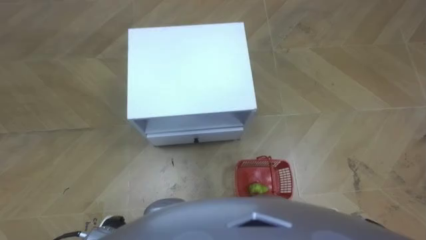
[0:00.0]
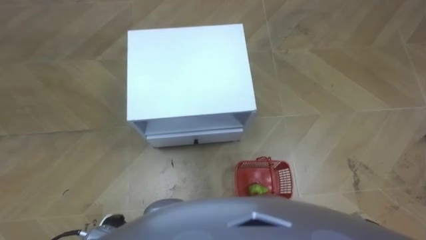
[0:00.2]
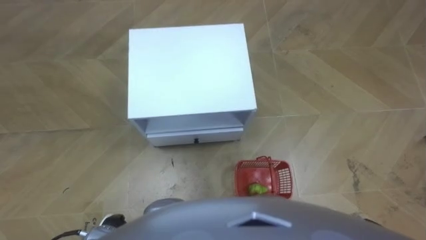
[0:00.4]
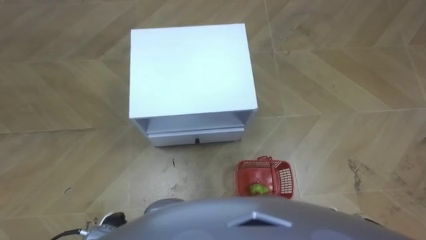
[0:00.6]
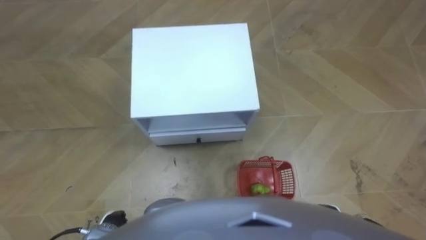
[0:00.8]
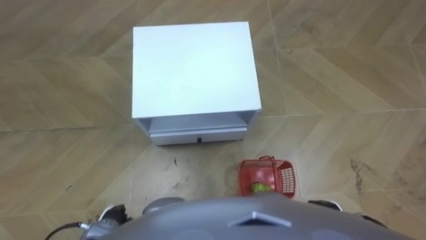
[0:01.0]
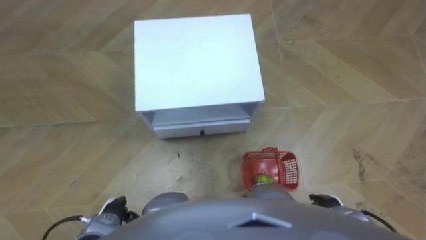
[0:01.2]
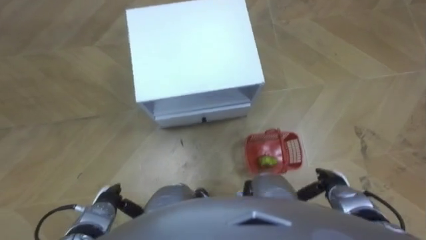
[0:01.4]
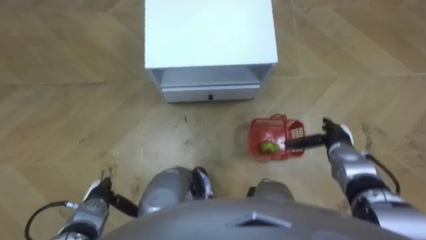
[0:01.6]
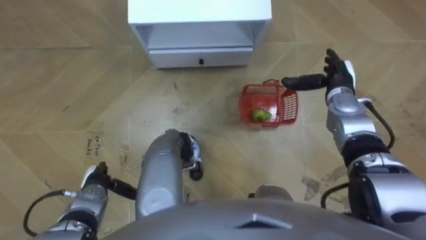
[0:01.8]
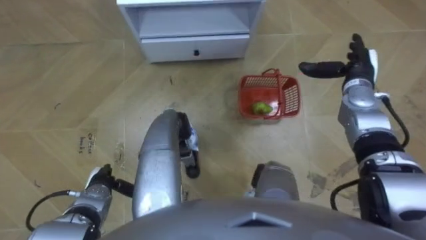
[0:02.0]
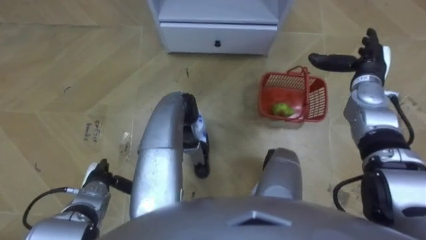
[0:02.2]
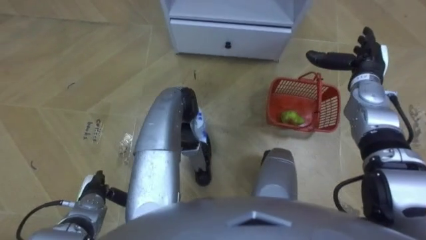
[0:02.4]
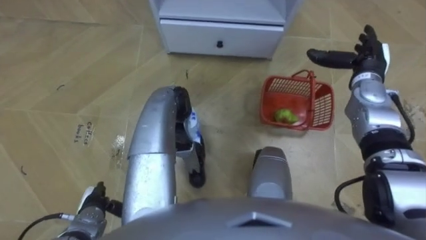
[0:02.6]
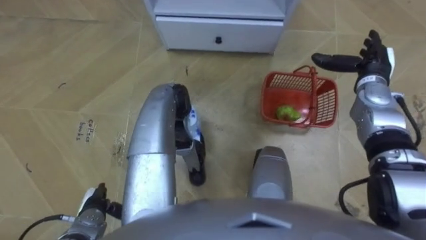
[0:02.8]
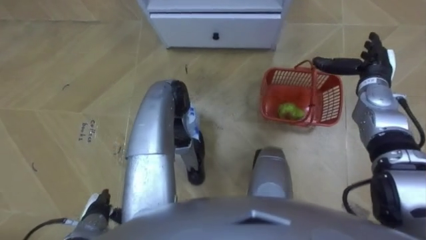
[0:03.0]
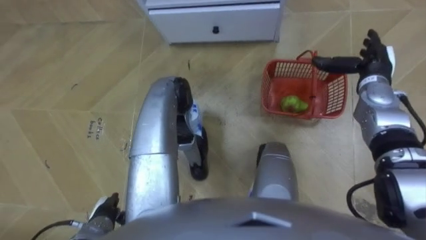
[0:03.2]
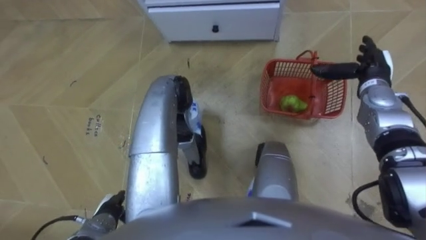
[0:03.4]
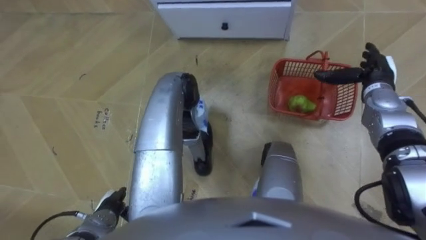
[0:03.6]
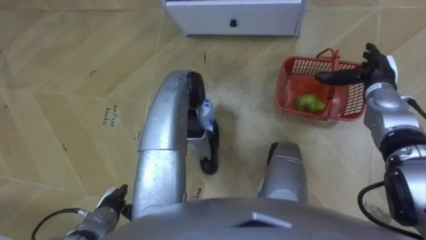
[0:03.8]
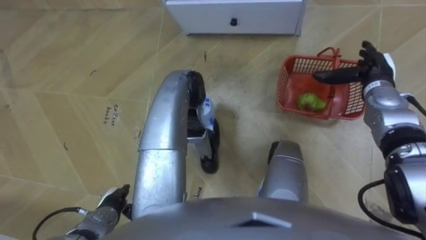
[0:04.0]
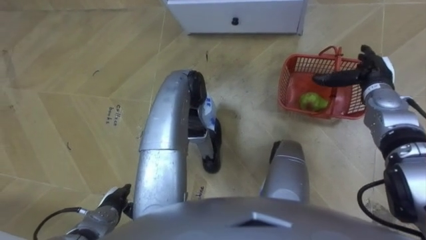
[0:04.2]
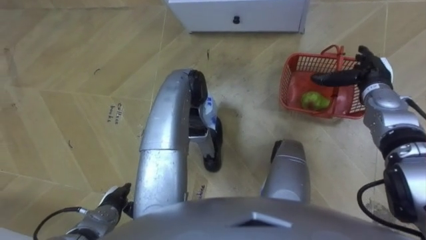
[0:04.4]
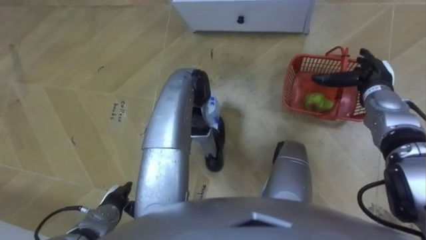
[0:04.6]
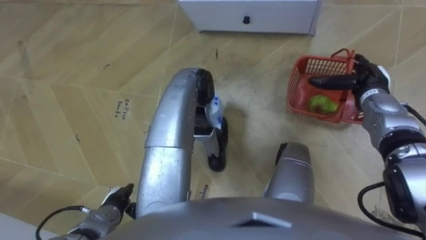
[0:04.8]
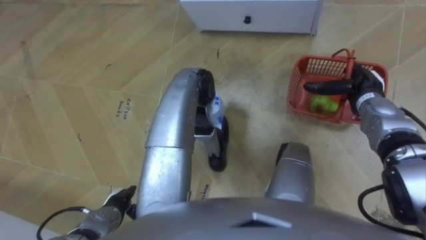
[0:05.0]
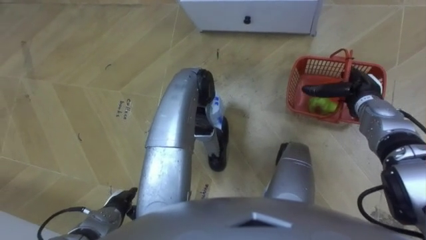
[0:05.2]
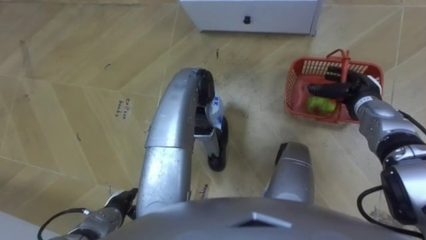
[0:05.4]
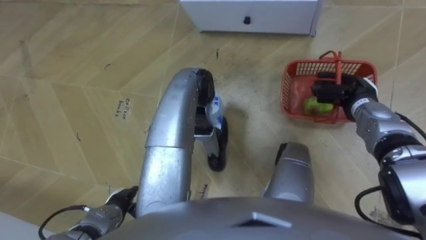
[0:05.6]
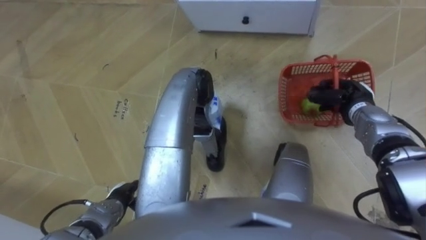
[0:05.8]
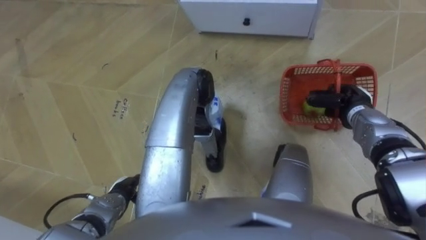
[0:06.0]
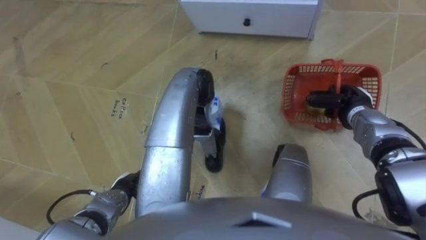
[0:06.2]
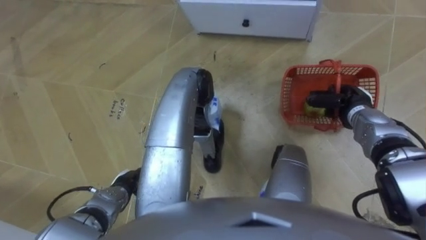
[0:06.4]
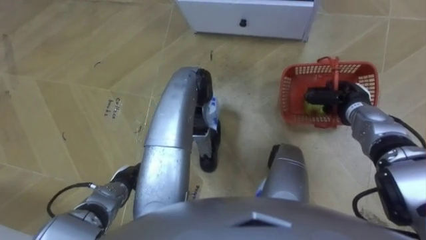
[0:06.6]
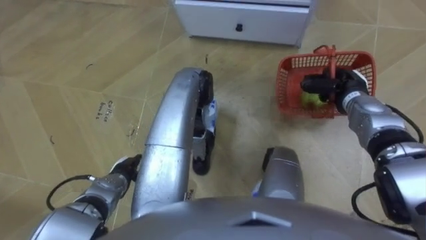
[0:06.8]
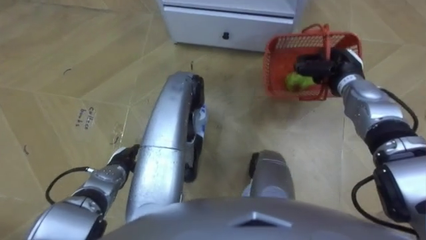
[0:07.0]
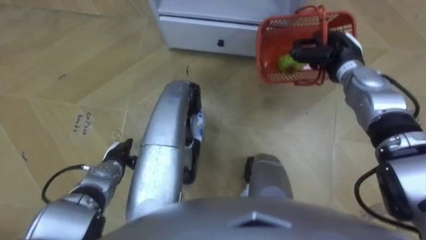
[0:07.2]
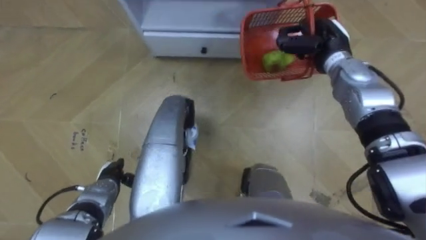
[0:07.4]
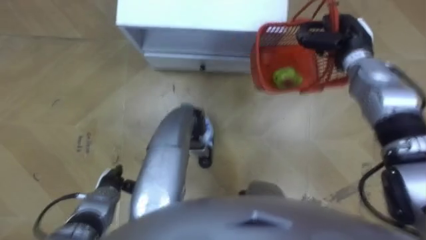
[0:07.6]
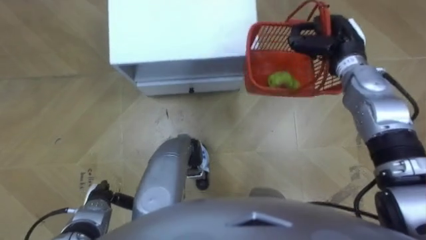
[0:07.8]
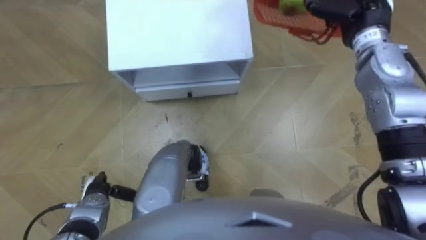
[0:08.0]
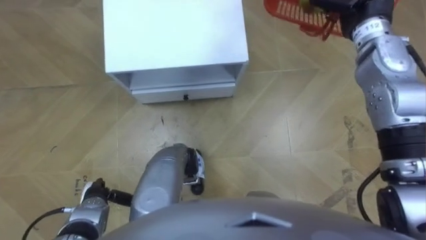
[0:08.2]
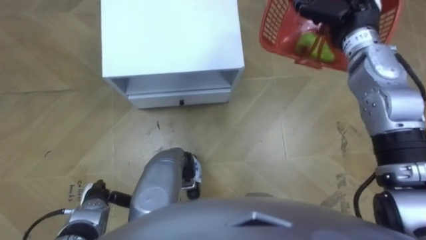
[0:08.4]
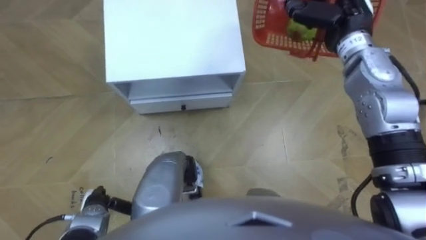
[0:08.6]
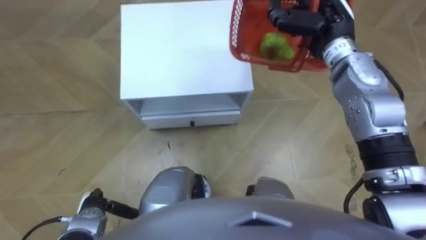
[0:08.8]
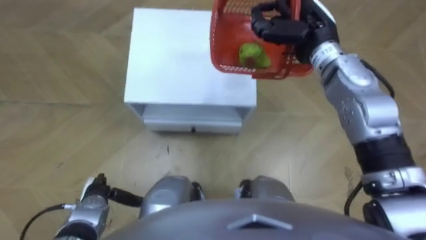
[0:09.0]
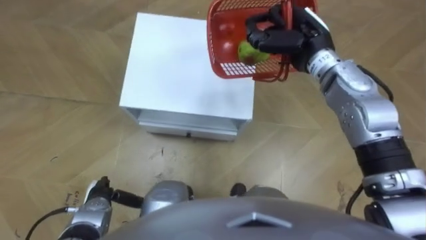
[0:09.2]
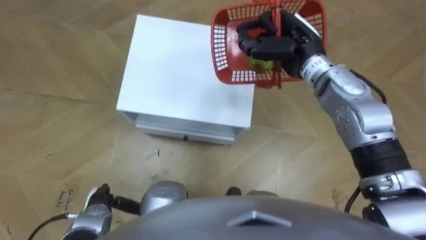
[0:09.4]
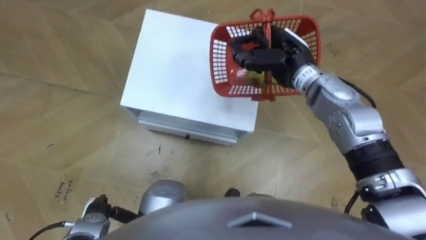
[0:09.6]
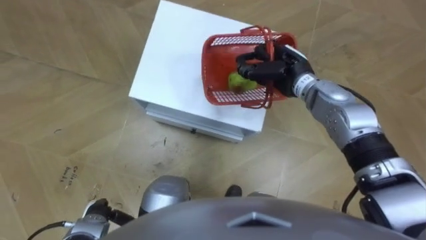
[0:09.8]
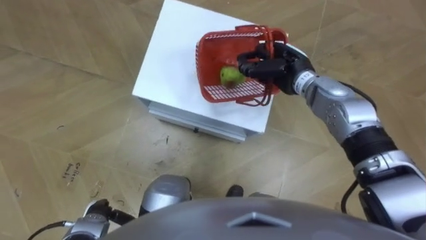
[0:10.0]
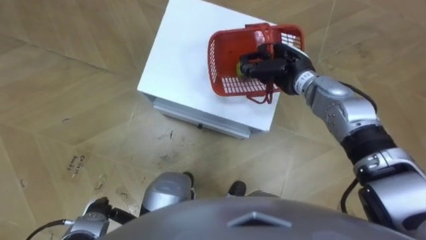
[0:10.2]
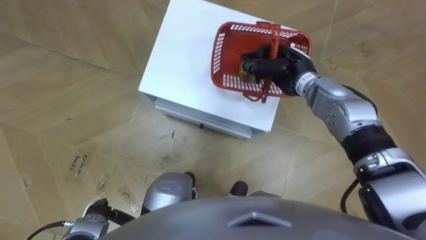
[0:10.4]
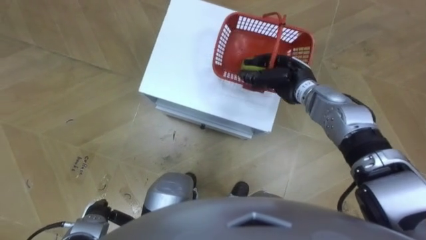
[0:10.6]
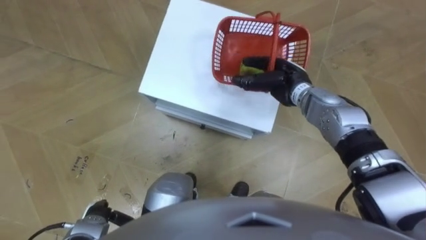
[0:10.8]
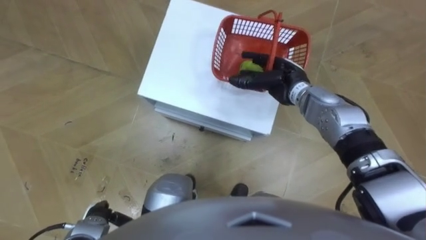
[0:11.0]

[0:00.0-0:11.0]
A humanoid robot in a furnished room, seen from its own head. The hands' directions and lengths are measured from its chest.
Task of the whole recording: Pick up the fruit basket from the floor and place it on the cabinet.
0:01.6 to 0:03.2: The right hand heads forward and upward, covering approximately 20 cm.
0:04.8 to 0:06.2: The right hand changes place by some 5 cm, and closes.
0:06.2 to 0:07.8: The right hand shifts approximately 15 cm upward, forward and to the left. Meanwhile the left hand moves to the left, roughly 5 cm, and moves some 10 cm forward and comes back.
0:09.4 to 0:11.0: The right hand heads downward, covering about 10 cm, and opens its fingers.

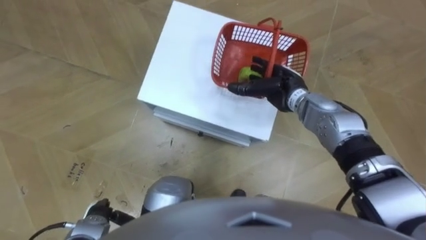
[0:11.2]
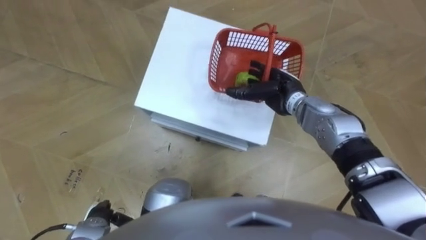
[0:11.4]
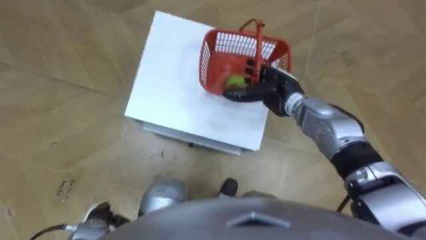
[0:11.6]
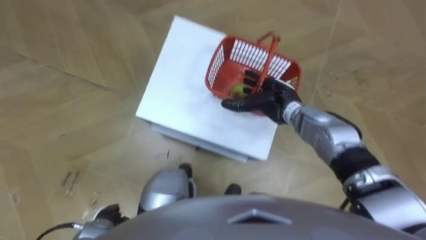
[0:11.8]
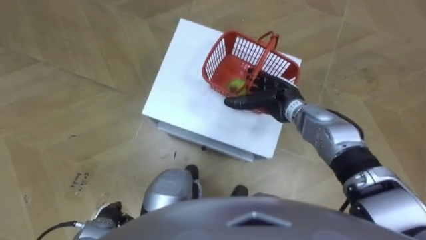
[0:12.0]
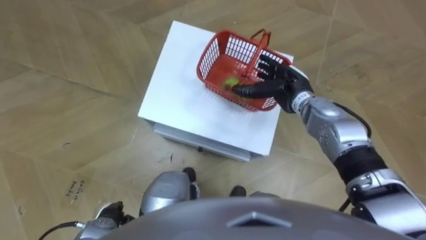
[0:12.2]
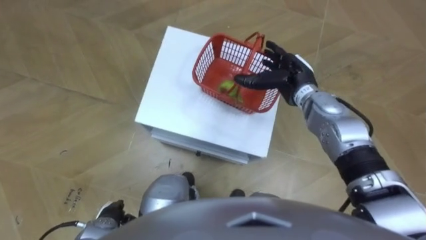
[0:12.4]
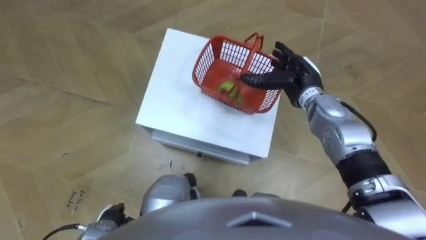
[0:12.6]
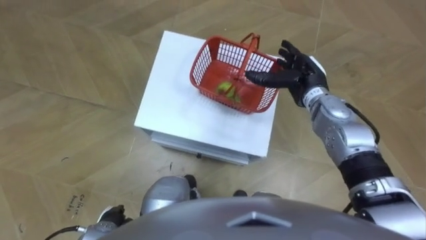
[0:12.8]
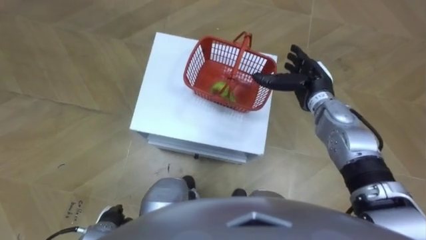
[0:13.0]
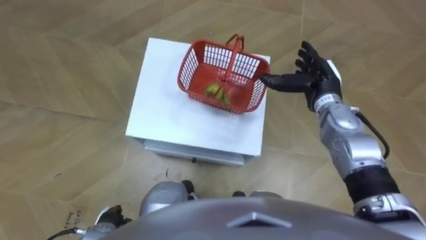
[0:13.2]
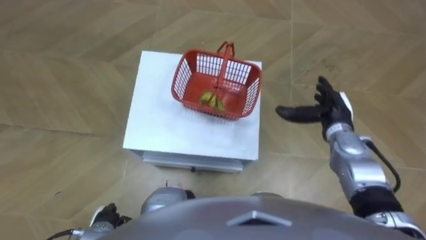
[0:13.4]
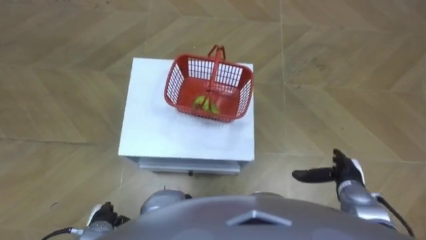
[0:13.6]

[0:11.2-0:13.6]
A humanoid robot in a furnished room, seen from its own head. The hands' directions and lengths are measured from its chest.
Task of the whole recording: Pick up the fruit basket from the floor and place it on the cabinet.
0:12.4 to 0:13.6: The right hand travels backward, to the right and downward by some 25 cm.

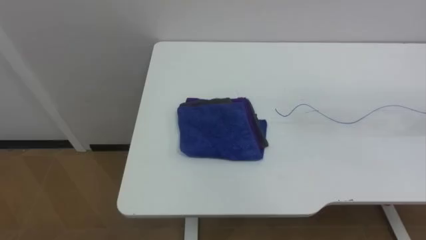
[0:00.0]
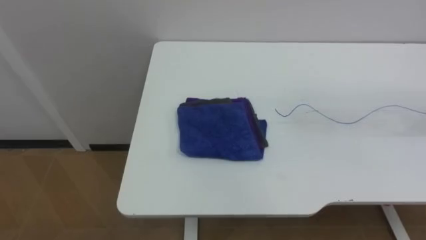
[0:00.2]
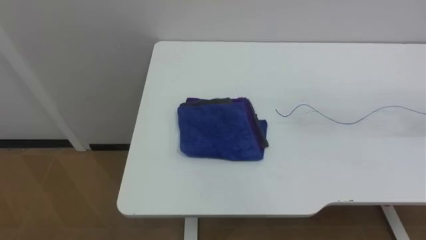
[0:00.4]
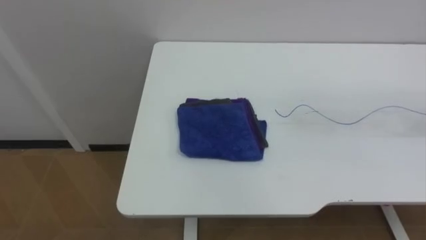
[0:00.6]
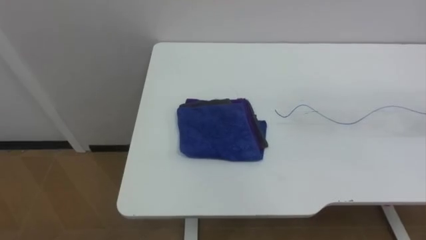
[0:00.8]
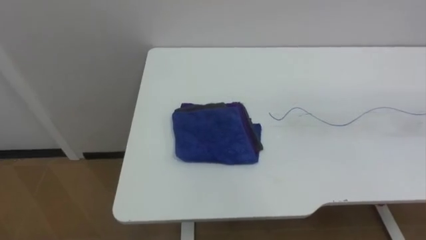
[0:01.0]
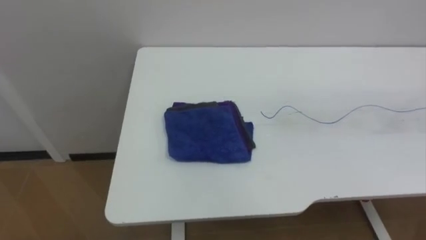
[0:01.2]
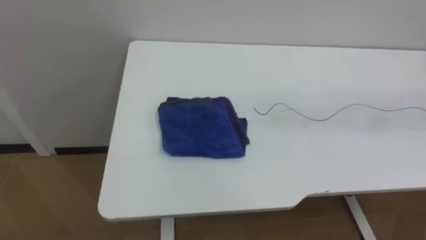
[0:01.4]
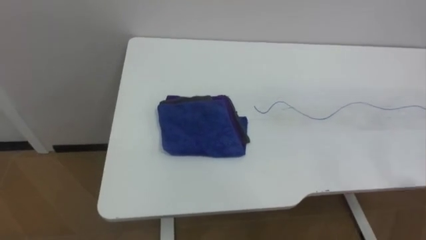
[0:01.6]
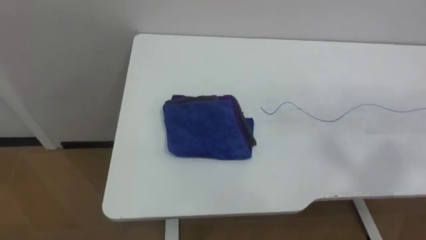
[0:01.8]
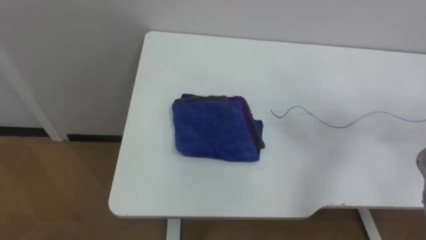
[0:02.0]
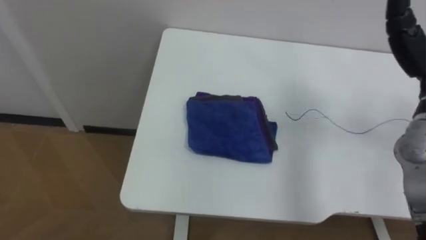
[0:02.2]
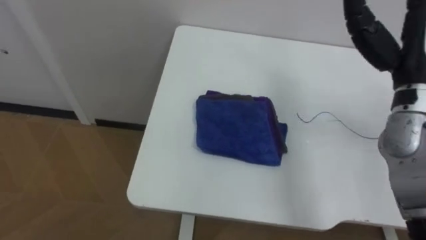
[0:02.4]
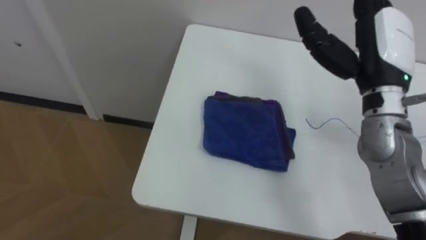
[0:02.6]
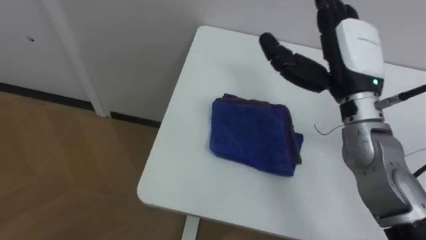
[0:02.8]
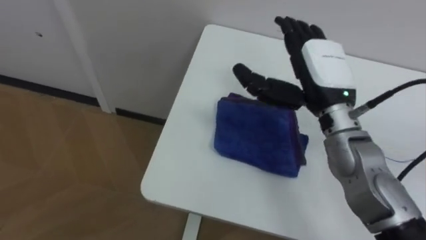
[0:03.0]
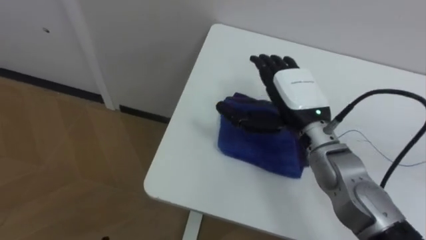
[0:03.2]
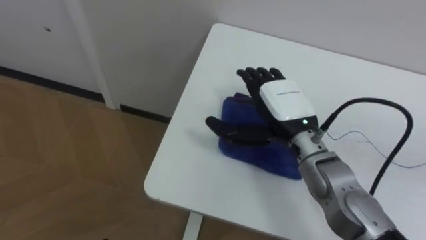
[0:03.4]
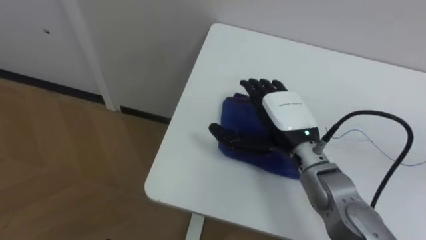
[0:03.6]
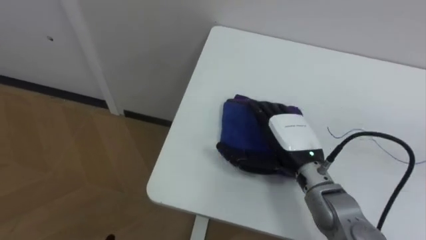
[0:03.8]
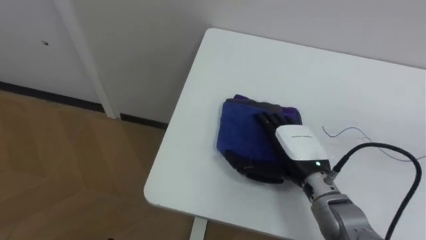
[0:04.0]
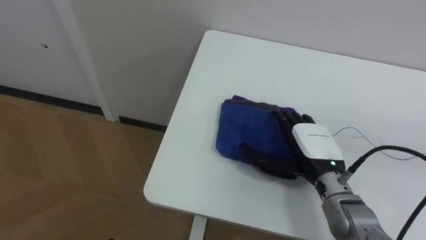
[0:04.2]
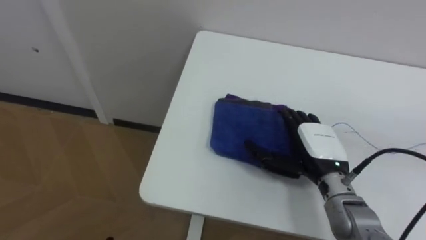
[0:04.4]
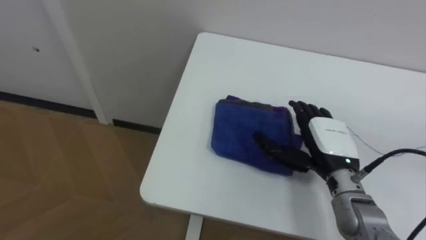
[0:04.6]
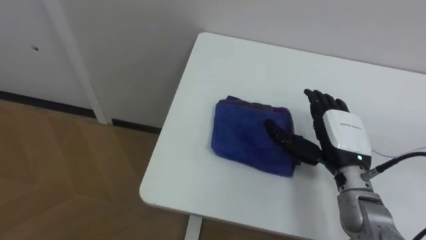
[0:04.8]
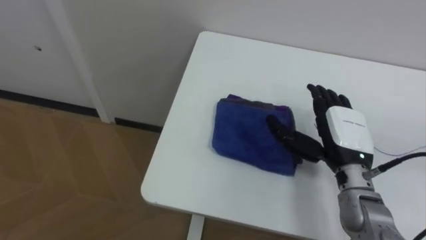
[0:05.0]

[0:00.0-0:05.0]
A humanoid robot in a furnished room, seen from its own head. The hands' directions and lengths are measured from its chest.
Task of the whole recording: Wipe the blue pen marks off the table with the rag.
0:03.4 to 0:05.0: The right hand travels to the right by about 10 cm.
